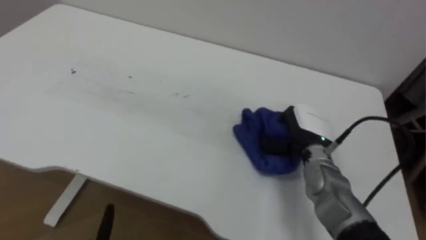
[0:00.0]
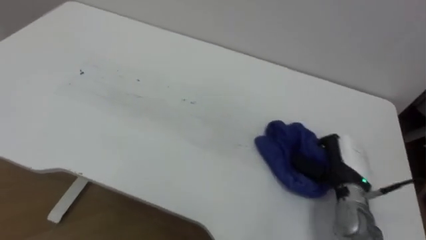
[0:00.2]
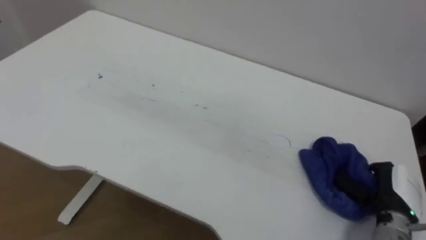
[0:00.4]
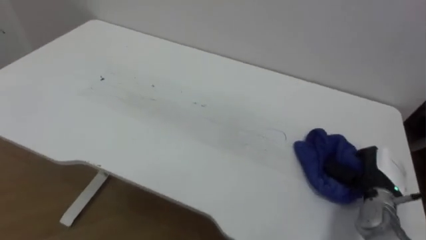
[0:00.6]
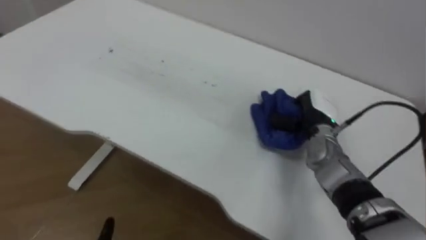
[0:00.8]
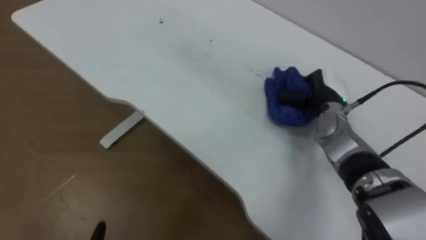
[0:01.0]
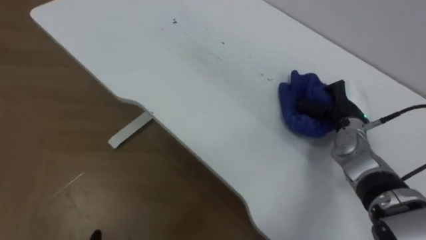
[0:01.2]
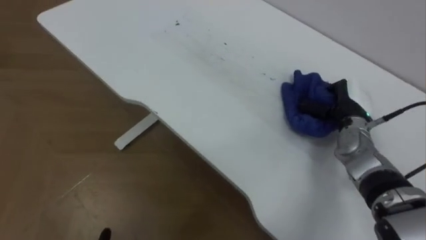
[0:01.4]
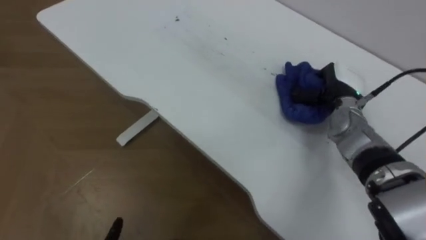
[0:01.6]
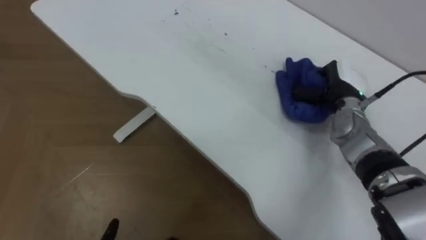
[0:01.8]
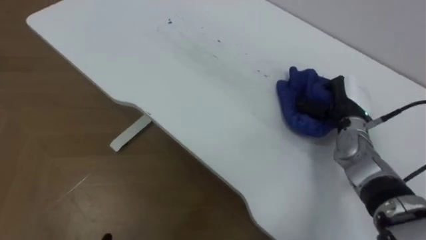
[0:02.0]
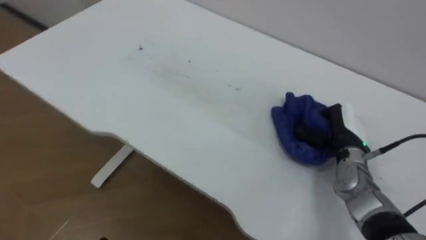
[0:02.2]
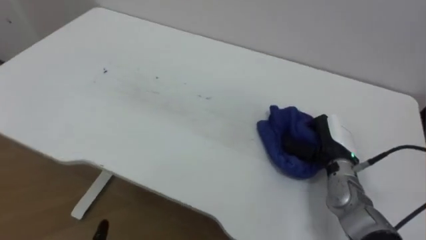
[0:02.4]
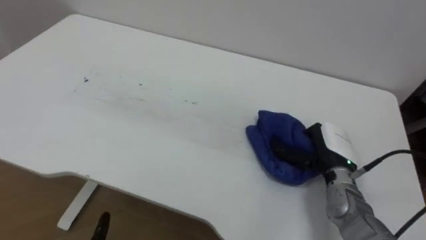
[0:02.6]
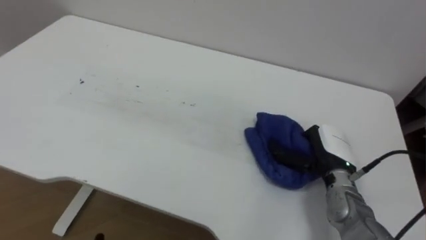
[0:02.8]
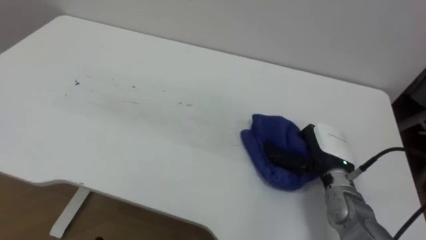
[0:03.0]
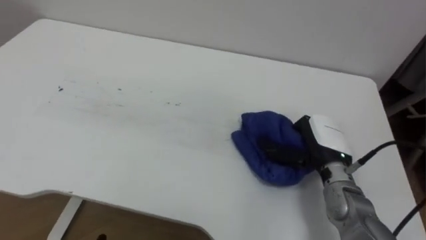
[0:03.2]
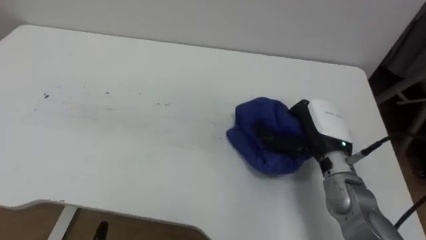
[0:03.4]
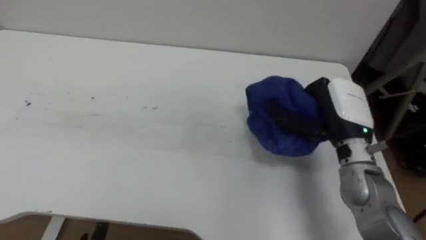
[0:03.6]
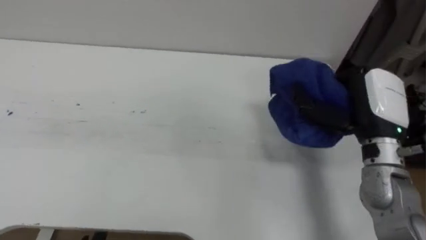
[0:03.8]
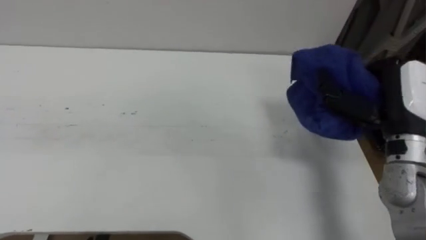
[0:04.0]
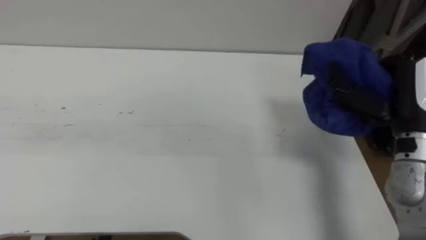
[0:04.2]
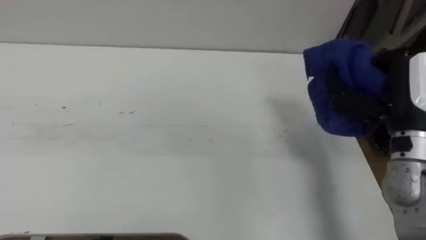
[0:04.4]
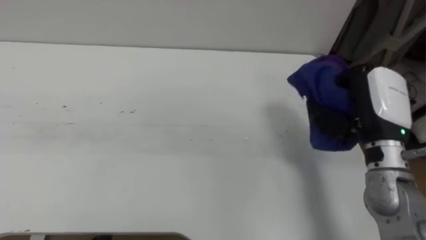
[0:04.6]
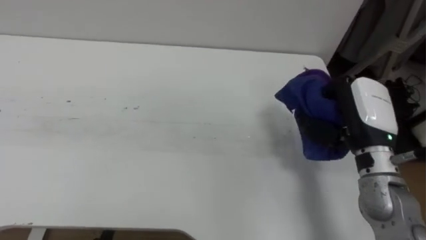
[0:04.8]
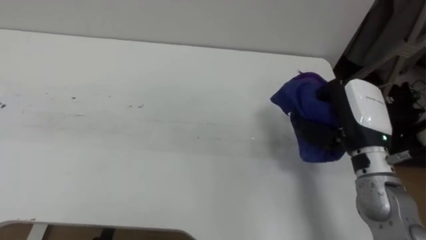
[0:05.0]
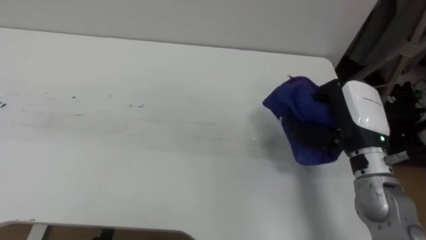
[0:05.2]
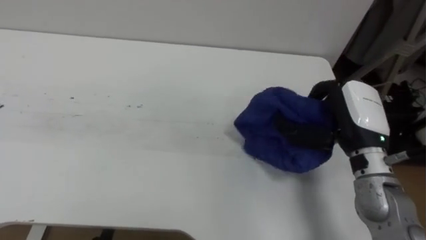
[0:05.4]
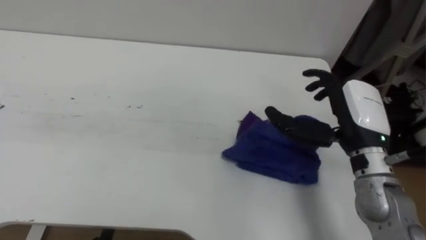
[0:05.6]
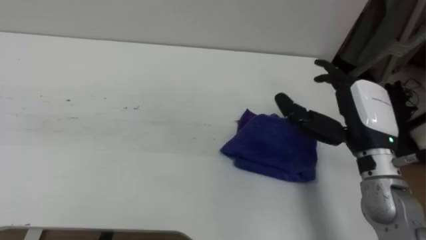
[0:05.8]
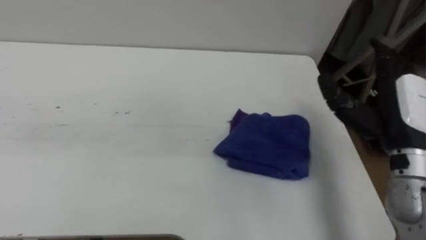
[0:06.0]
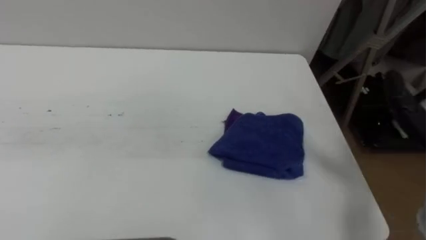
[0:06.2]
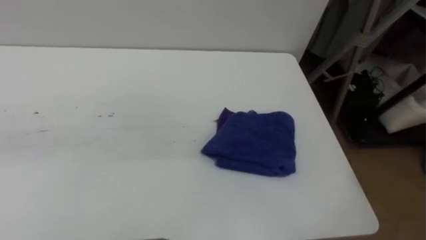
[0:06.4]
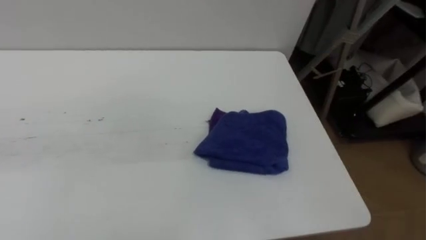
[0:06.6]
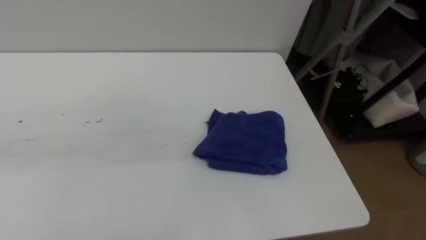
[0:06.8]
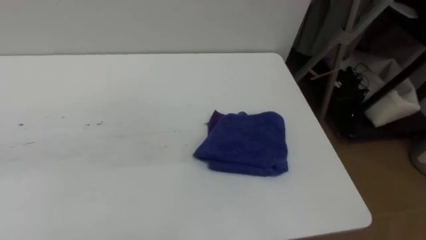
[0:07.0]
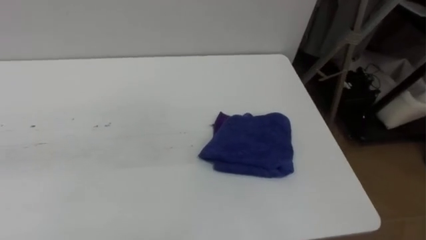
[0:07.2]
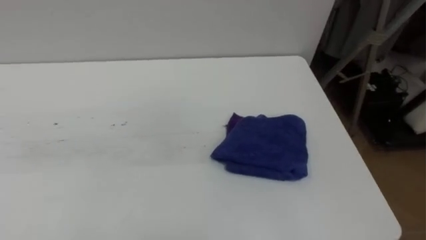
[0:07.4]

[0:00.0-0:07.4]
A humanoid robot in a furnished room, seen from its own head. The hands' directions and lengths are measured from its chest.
Task of the whole recording: Wipe the blue pen marks off the table with the rag.
0:00.0 to 0:01.4: The robot rotates some 15 degrees to its left. The right hand moves to the right, about 10 cm, and moves approximately 15 cm backward and comes back.
0:01.4 to 0:03.0: The right hand shifts some 10 cm backward.
0:03.0 to 0:04.4: The right hand heads upward and to the right, covering approximately 20 cm.
0:04.4 to 0:06.0: The right hand opens.

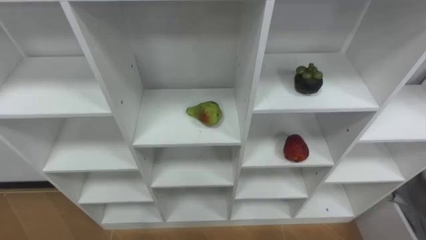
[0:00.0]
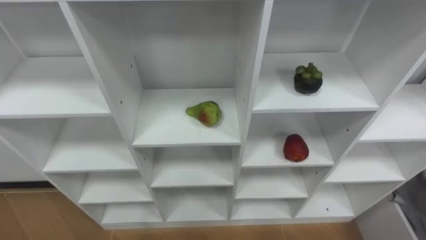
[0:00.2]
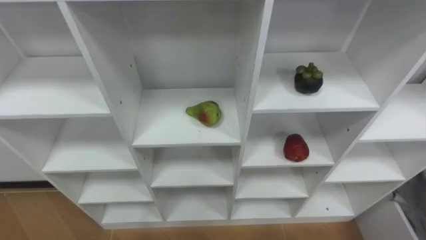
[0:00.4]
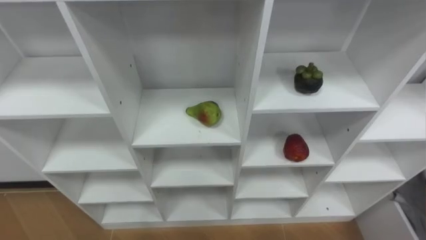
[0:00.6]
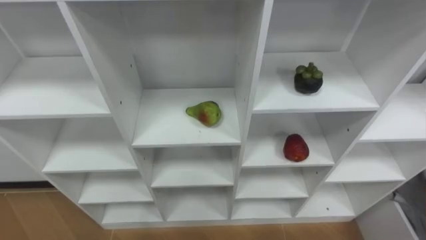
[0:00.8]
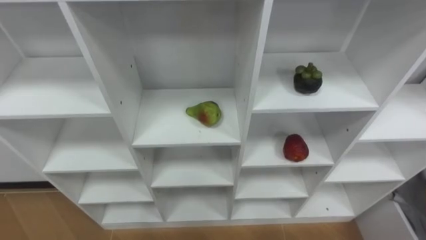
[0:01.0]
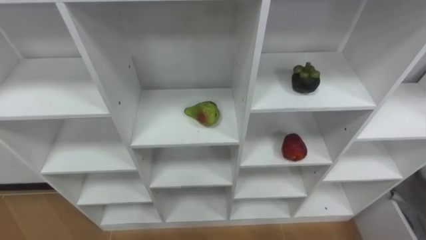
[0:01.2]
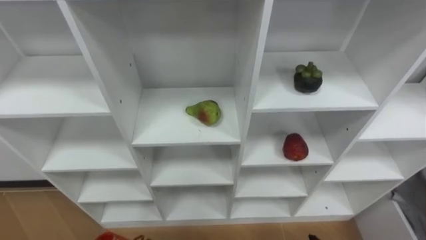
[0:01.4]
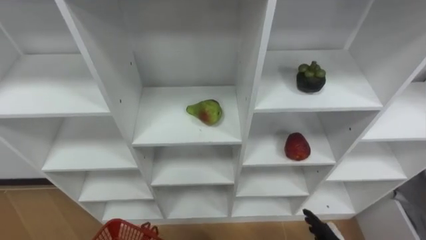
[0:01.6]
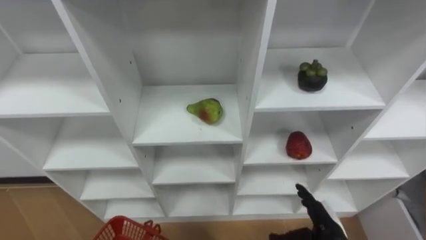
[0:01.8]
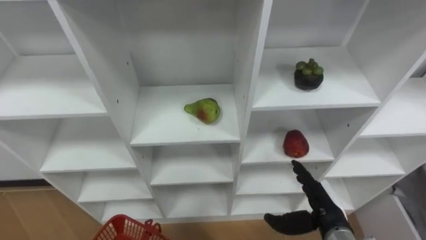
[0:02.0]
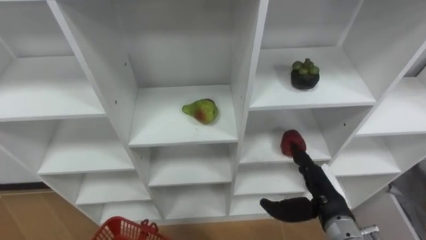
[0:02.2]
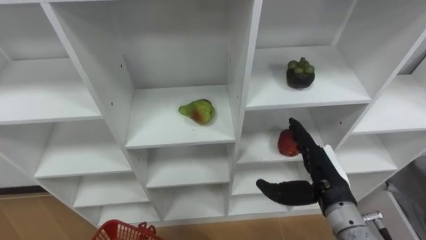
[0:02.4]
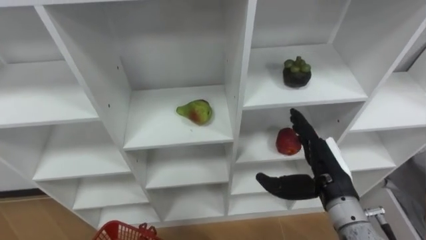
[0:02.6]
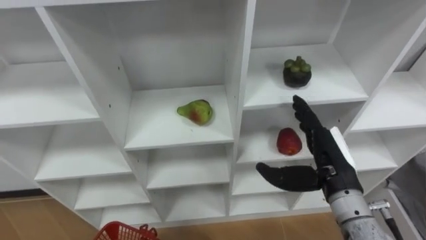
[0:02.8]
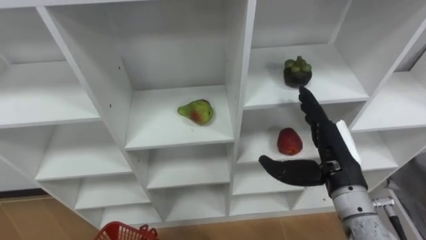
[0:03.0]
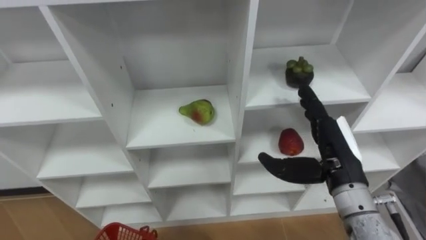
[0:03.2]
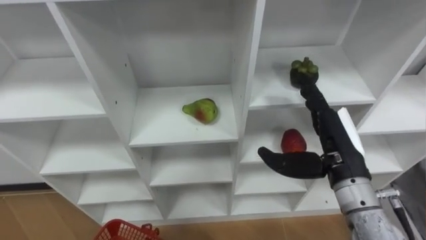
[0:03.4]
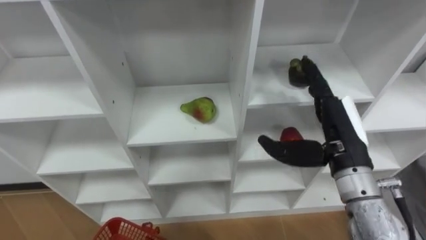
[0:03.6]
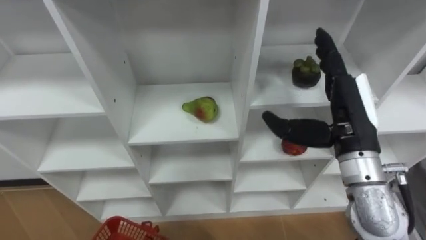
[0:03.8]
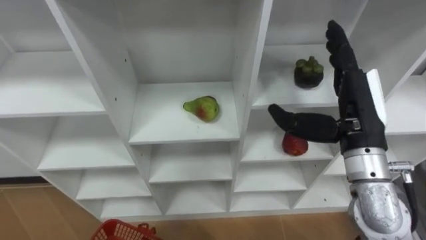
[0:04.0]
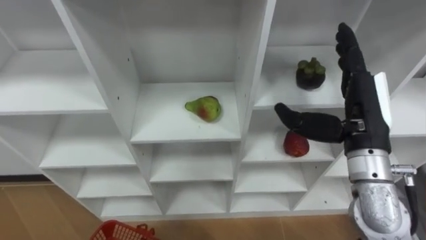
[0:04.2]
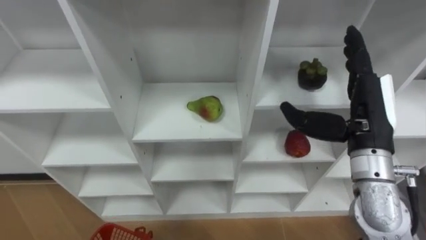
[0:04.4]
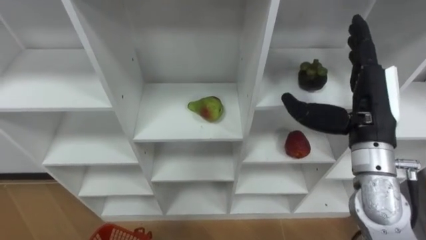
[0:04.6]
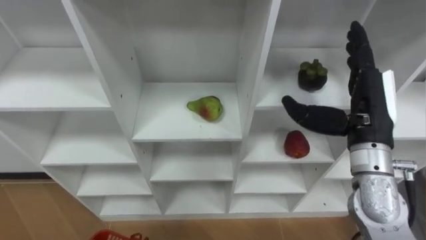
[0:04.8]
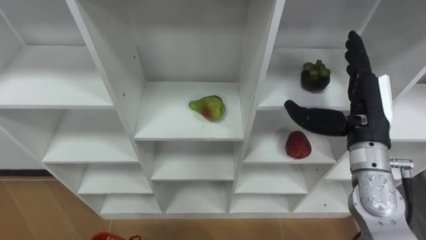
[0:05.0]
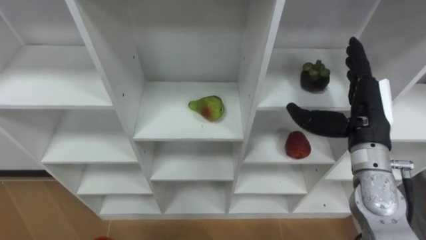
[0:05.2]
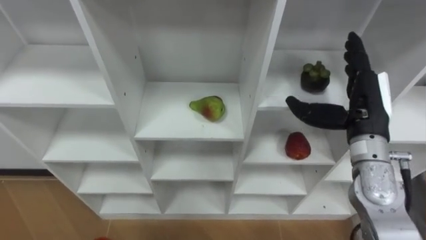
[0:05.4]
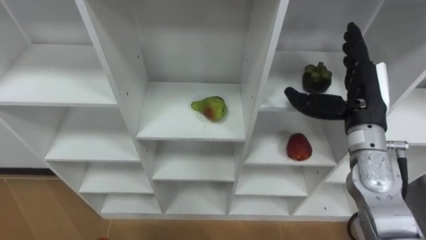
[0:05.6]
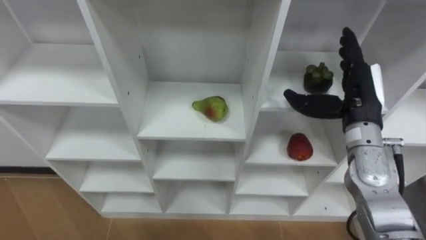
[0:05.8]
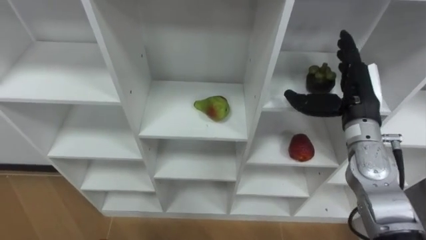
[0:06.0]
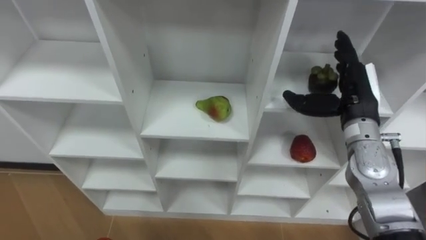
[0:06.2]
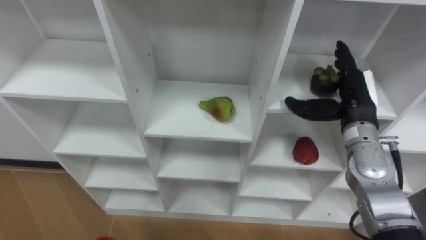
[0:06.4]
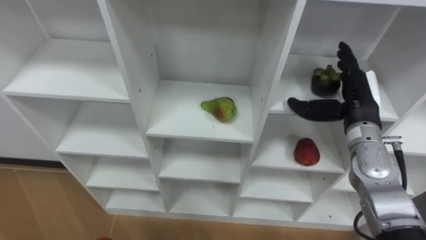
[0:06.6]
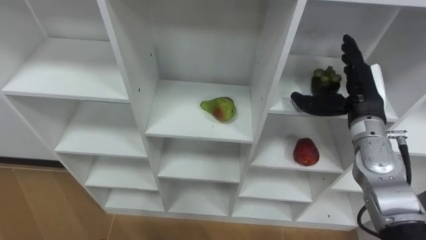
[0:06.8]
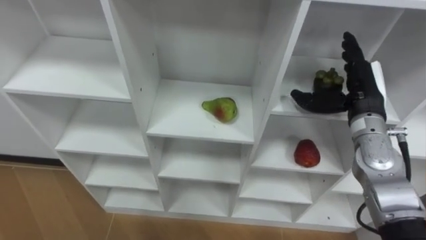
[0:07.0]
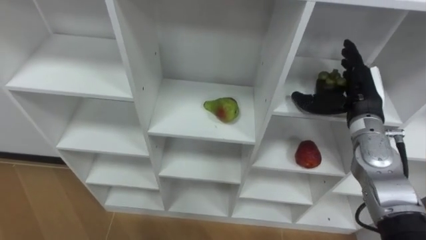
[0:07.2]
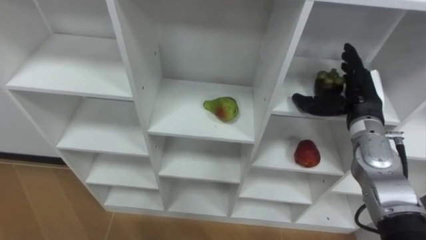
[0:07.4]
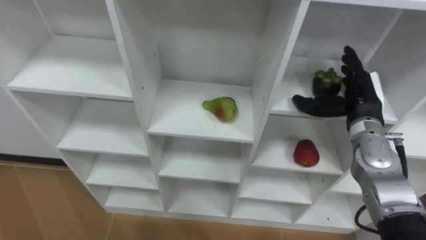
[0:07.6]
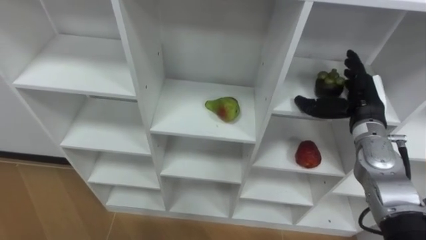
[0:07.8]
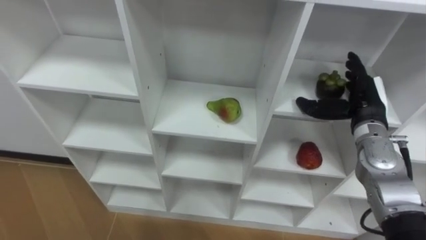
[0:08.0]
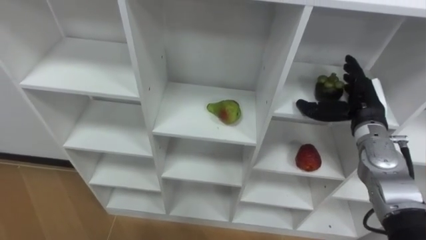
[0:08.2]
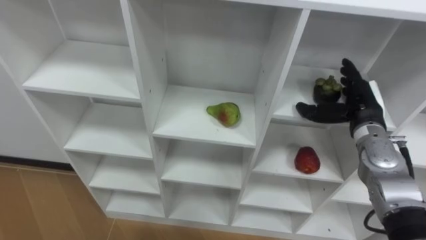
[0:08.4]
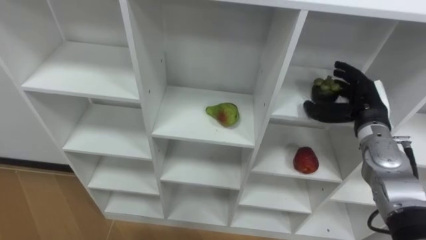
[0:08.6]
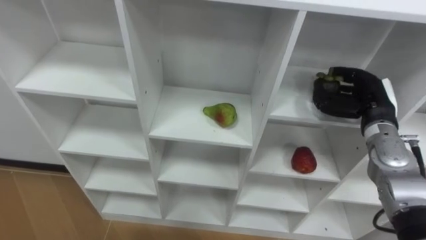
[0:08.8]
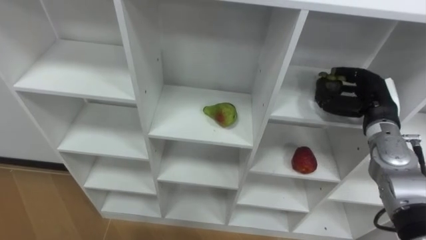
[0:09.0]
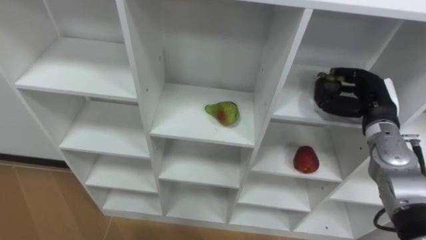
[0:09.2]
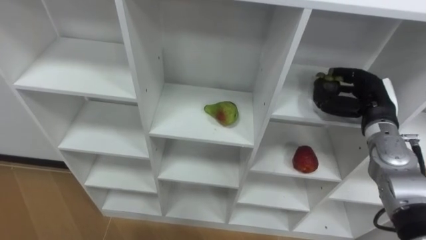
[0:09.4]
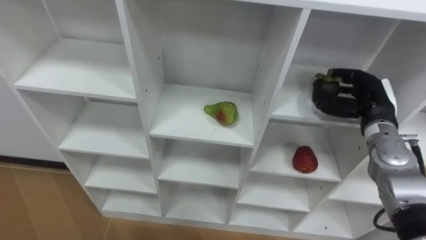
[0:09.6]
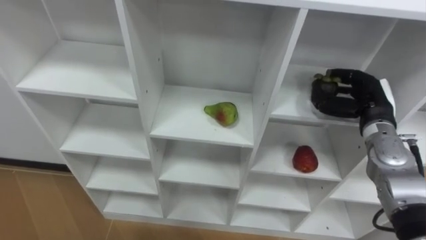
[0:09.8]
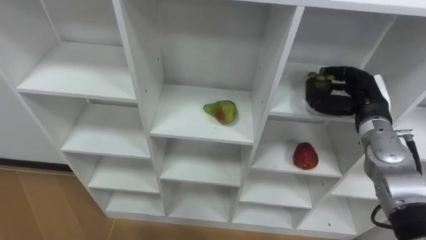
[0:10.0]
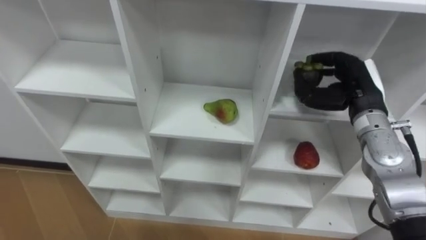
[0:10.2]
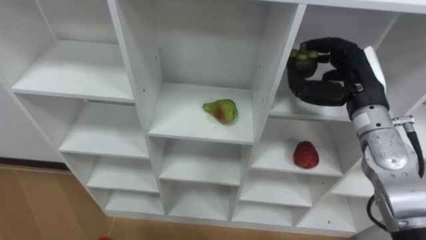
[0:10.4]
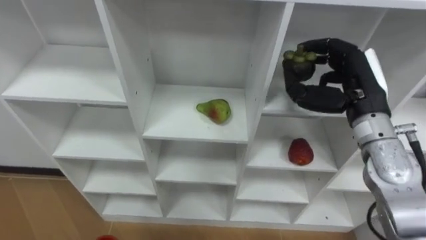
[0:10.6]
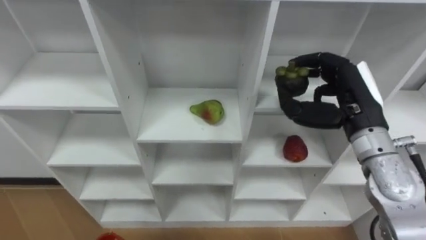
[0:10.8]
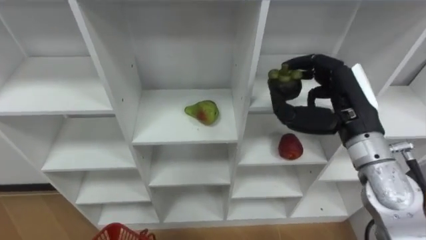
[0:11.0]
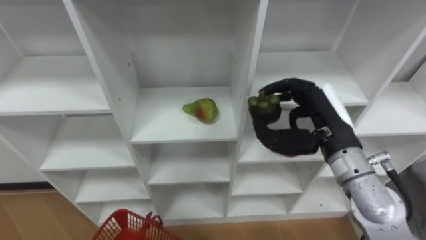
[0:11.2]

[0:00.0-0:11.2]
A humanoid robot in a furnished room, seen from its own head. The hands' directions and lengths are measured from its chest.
Task of the whole recording: Hold the basket and collect the fruits from 3 different cells of the closet into it.
0:03.2 to 0:04.8: The right hand is displaced upward by roughly 5 cm.
0:04.8 to 0:06.4: The right hand is displaced forward and downward by approximately 10 cm.
0:08.0 to 0:09.6: The right hand closes.
0:09.6 to 0:11.2: The right hand travels to the left, backward and upward by about 15 cm.
